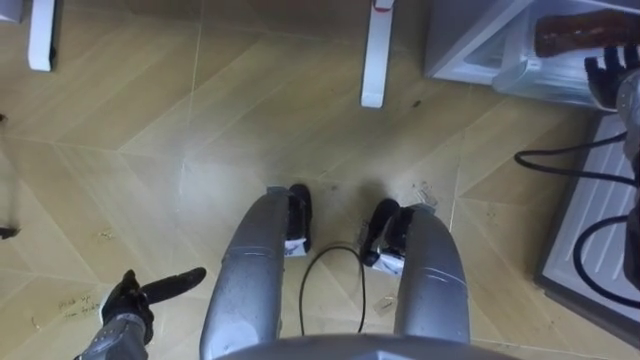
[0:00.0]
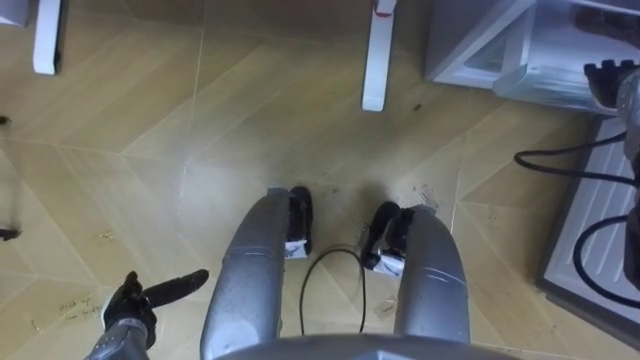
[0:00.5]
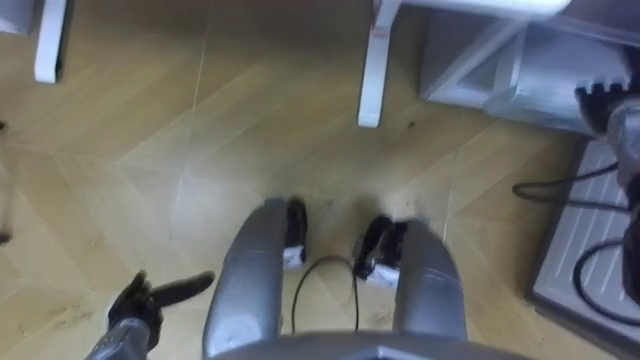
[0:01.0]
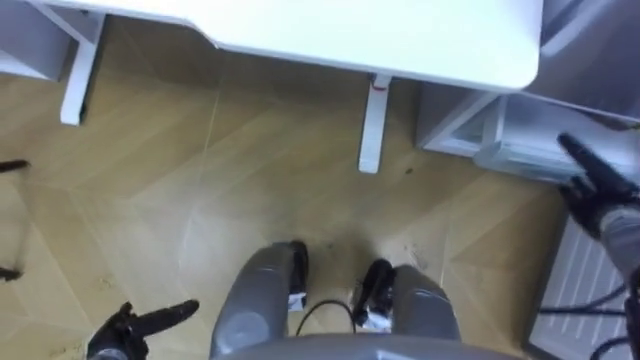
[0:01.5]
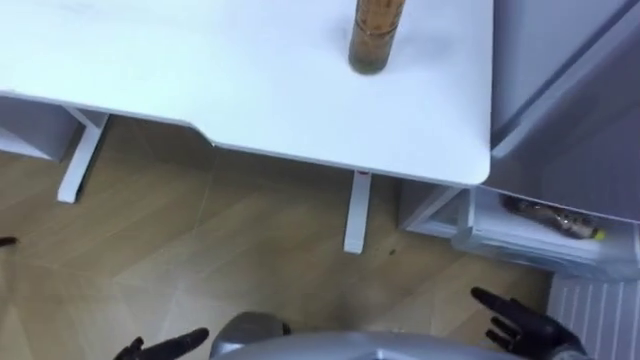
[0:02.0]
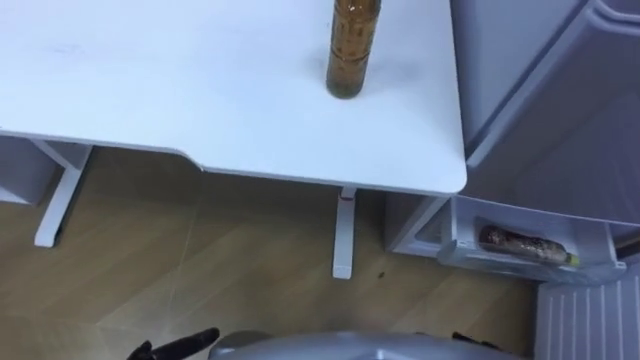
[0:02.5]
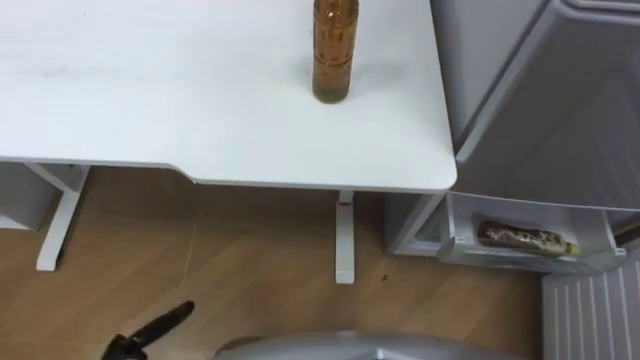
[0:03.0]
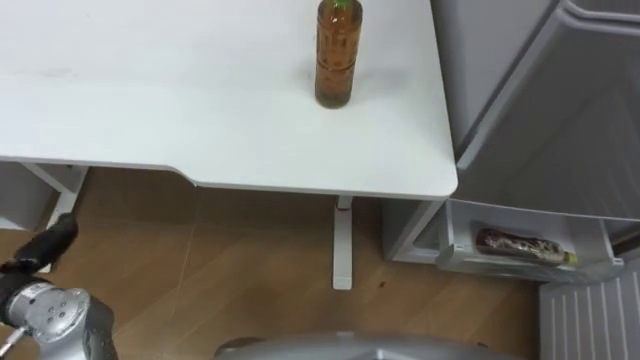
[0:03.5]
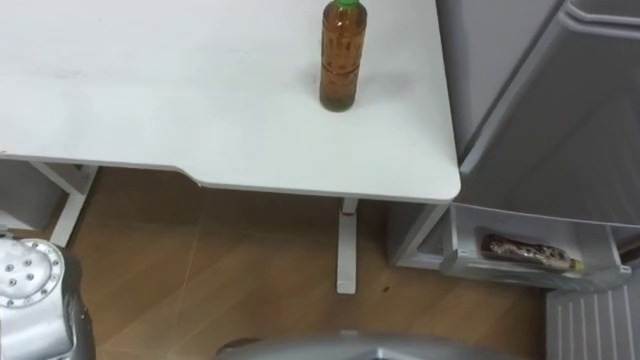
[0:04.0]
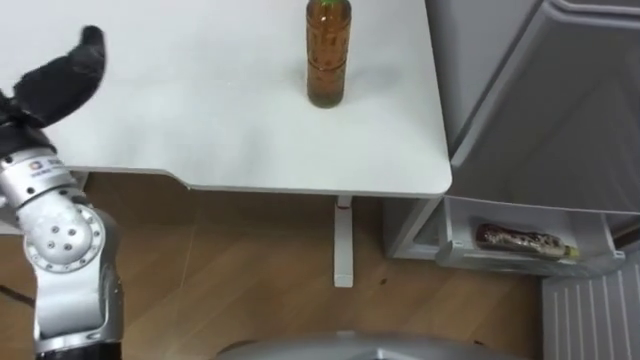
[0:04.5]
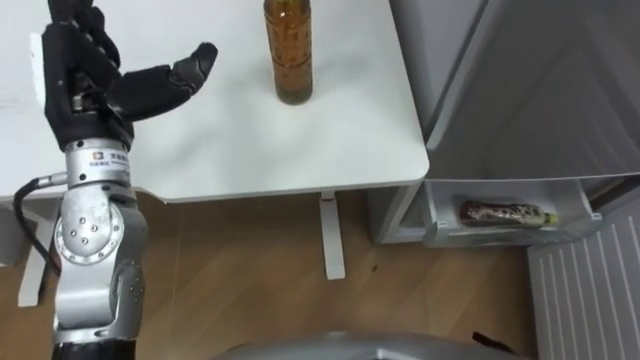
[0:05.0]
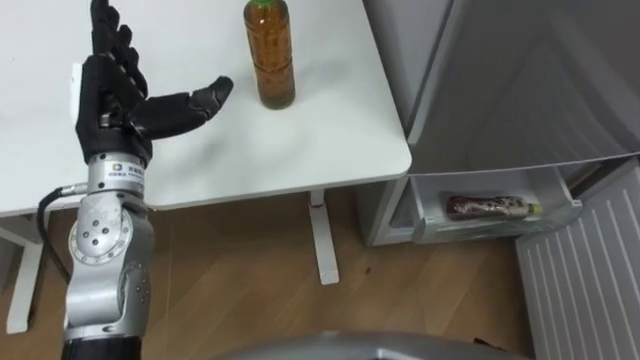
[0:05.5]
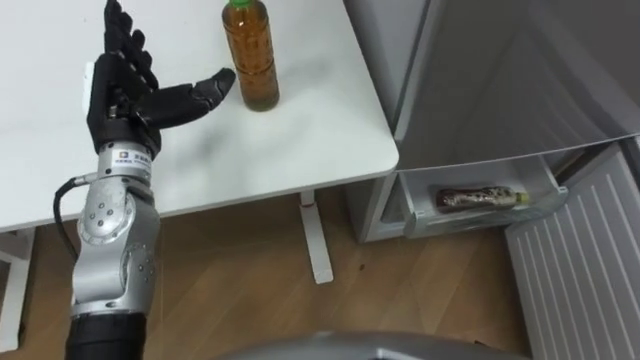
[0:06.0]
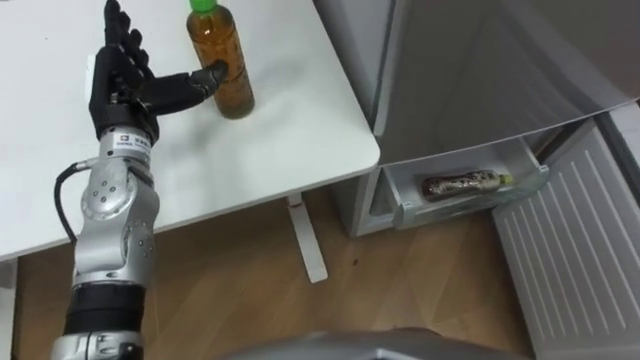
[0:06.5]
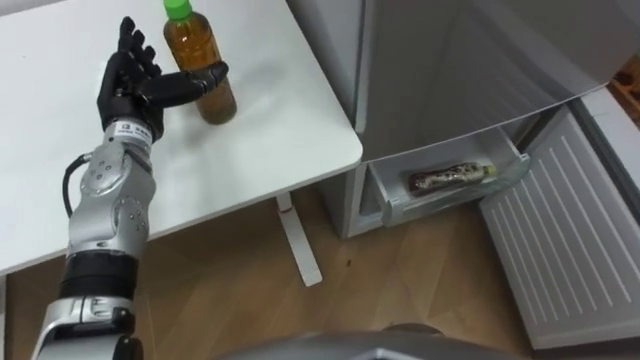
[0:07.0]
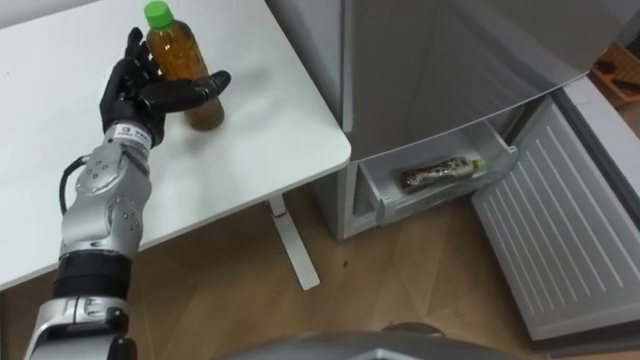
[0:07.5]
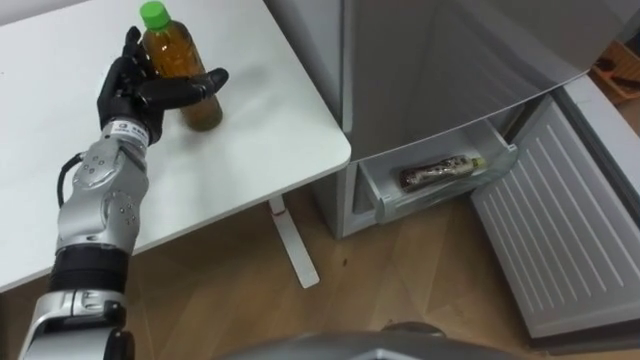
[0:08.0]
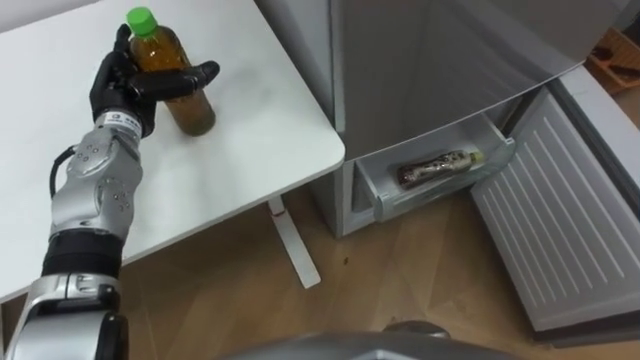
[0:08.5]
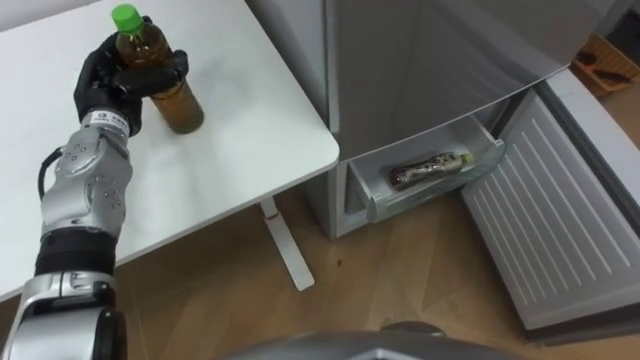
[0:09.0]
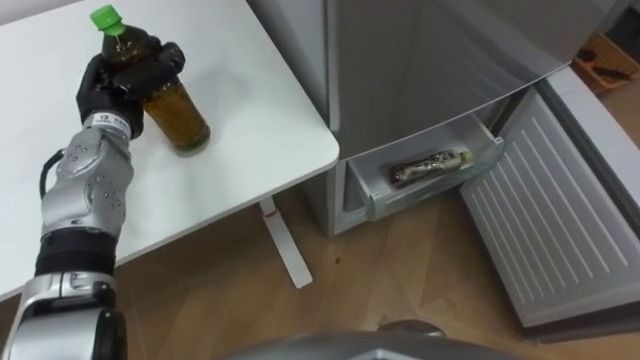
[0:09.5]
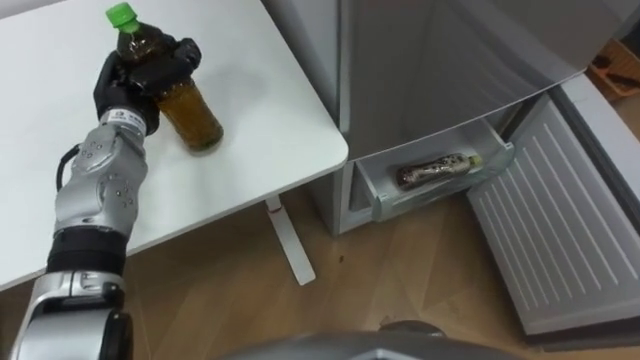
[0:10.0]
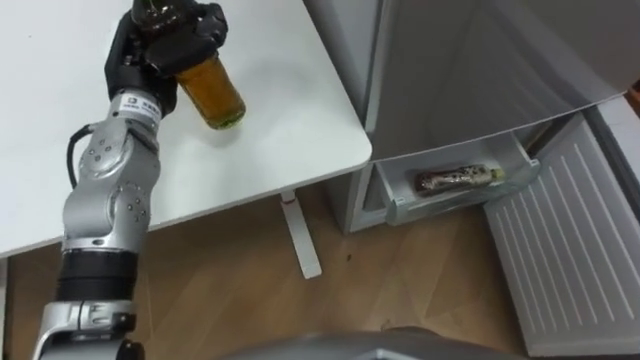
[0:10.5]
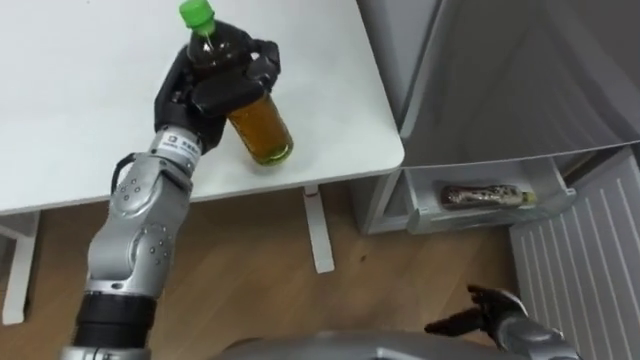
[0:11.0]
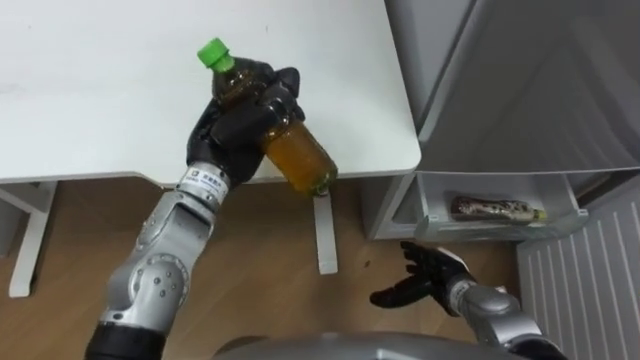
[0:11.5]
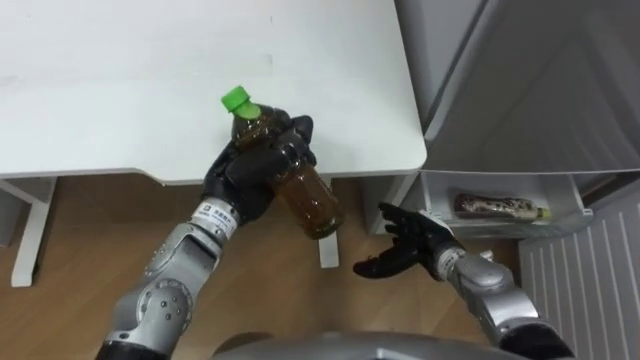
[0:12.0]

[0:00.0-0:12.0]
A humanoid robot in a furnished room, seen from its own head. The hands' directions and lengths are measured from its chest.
Task of the whole recording: Place the drink on the table on the bottom shelf of the refrigerator, then close the drawer and the refrigerator door.
0:00.0 to 0:02.0: The right hand shifts roughly 35 cm backward and downward.
0:06.0 to 0:08.0: The left hand ends up roughly 5 cm from where it was.
0:08.0 to 0:10.0: The left hand closes.
0:10.0 to 0:12.0: The left hand travels to the right and backward by approximately 20 cm.

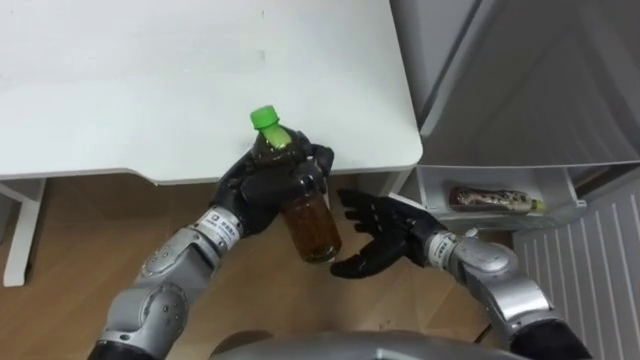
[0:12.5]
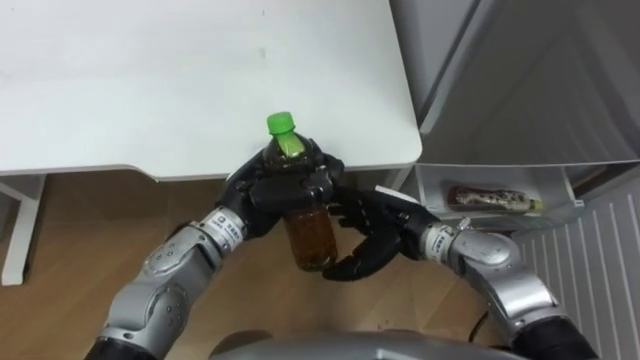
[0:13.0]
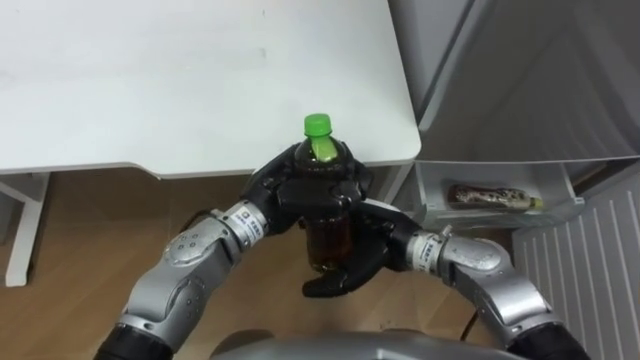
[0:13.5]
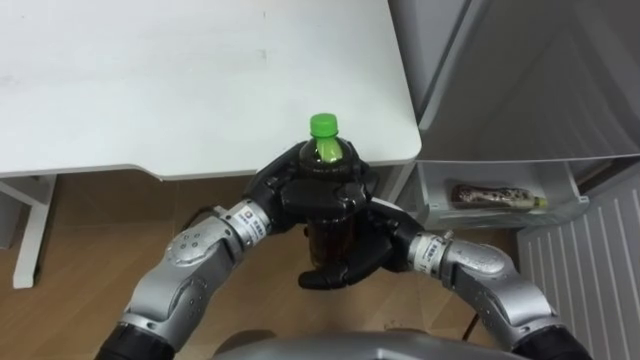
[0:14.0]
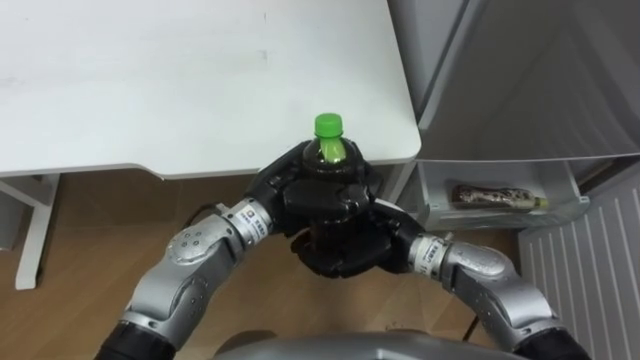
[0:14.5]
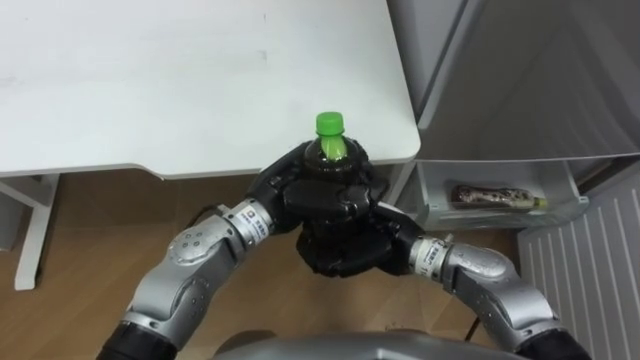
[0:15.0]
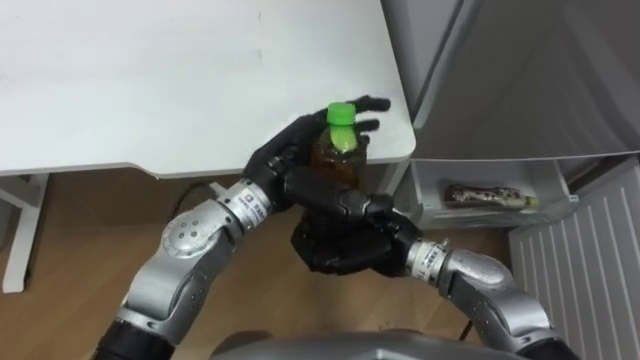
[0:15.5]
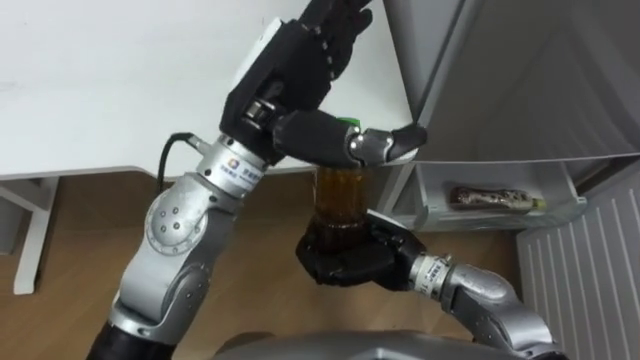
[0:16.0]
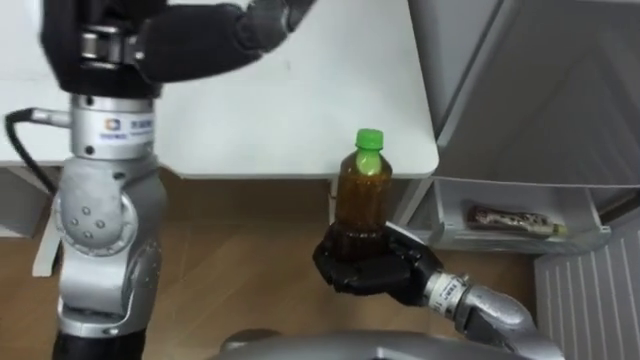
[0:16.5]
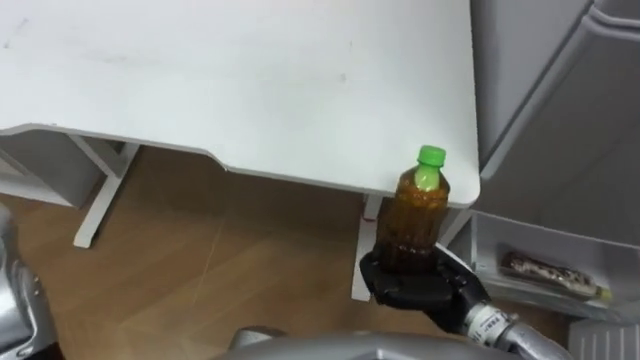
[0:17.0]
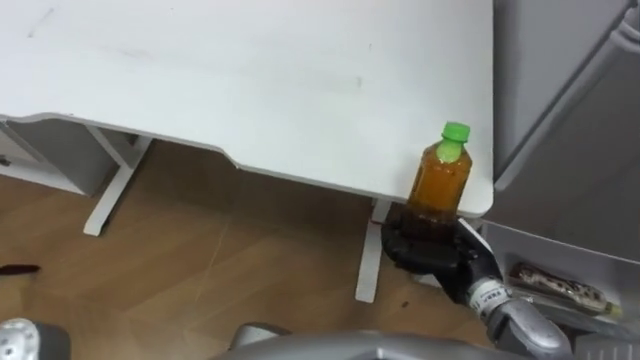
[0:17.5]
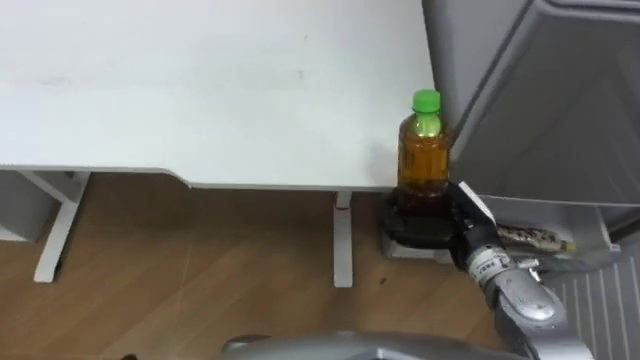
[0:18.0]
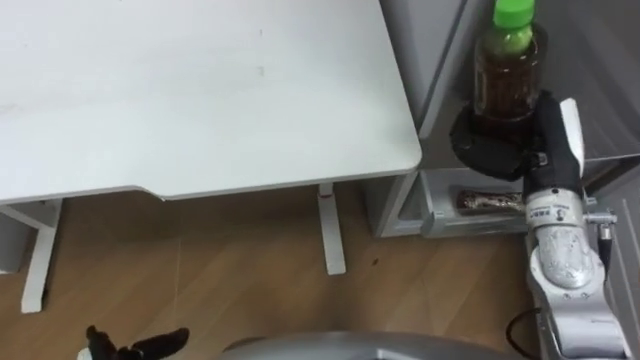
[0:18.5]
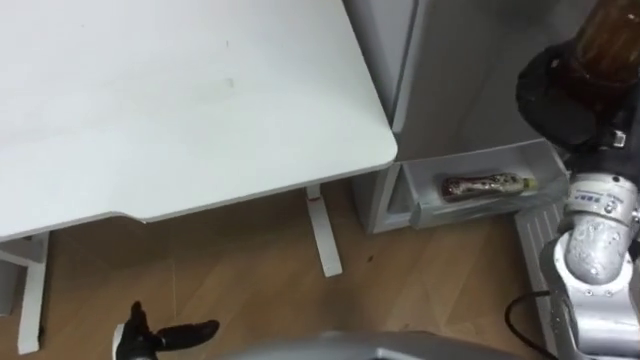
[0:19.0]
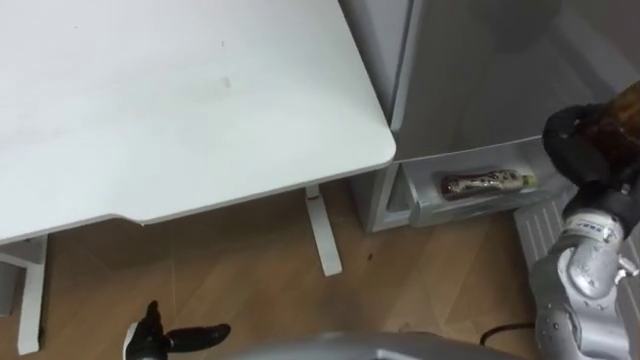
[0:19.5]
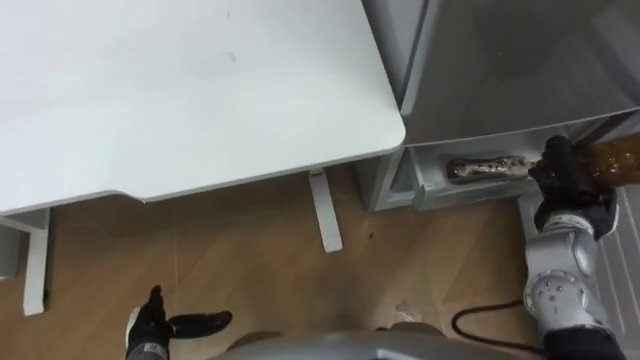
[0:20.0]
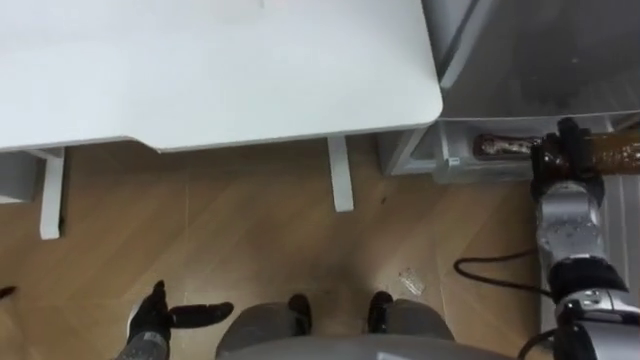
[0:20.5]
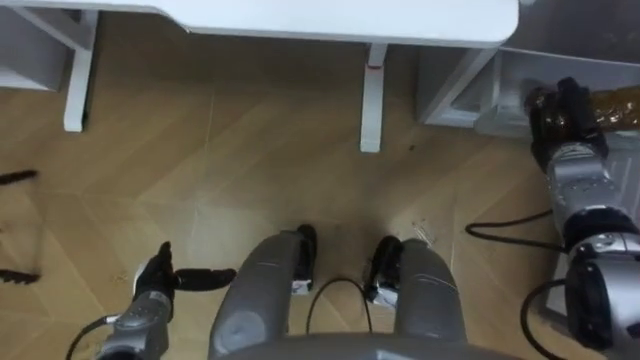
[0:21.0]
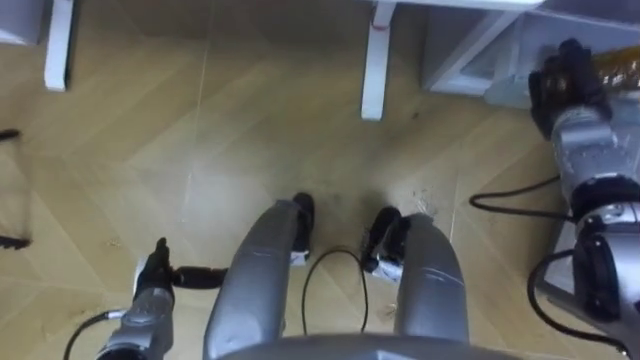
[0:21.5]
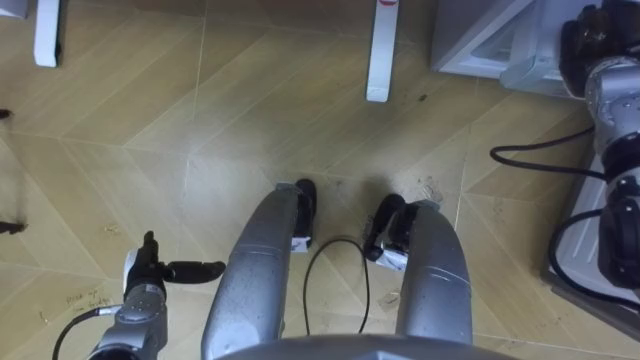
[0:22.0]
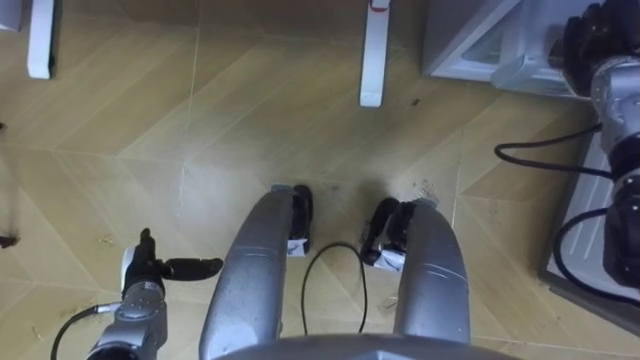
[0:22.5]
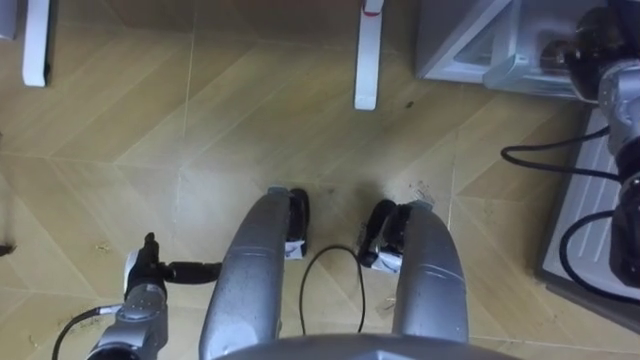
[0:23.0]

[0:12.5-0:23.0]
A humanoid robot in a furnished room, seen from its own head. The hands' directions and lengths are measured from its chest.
Task of the whole recording: Place the drink on the table on the bottom shelf of the refrigerator, then close the drawer and the refrigerator door.
0:12.5 to 0:14.5: The right hand changes place by some 5 cm, and closes its fingers. The left hand changes place by roughly 5 cm.
0:14.5 to 0:16.5: The left hand is displaced upward and to the left by about 25 cm, and opens its fingers.
0:16.5 to 0:19.0: The right hand travels to the right and upward by about 25 cm.
0:19.0 to 0:21.0: The left hand shifts about 10 cm forward. Meanwhile the right hand travels downward and forward by about 20 cm.
0:21.0 to 0:23.0: The right hand heads upward and forward, covering about 10 cm, and opens its fingers.
